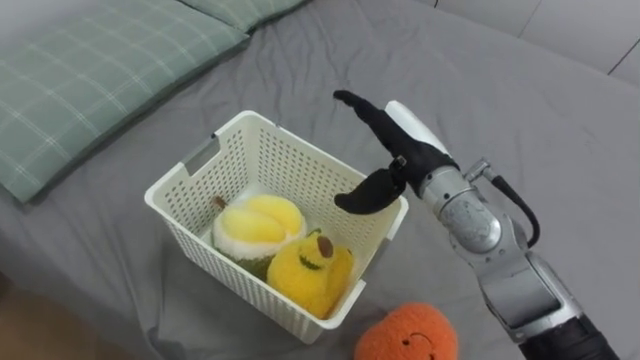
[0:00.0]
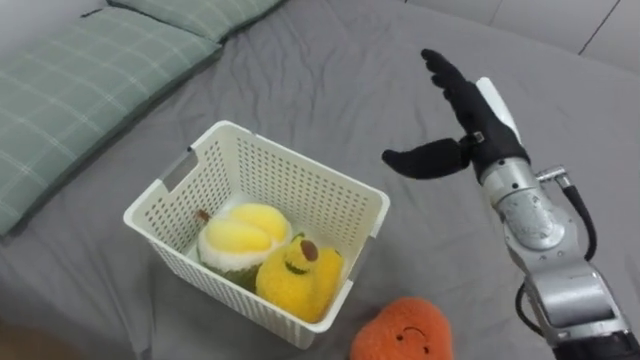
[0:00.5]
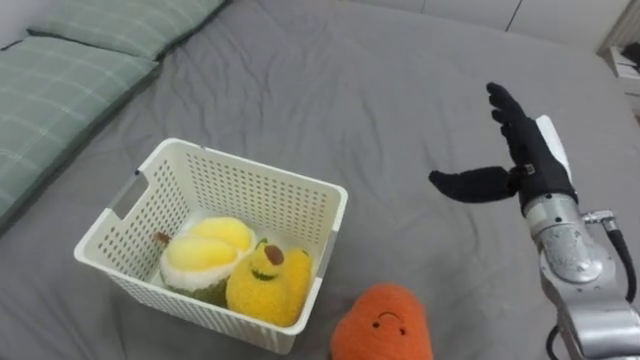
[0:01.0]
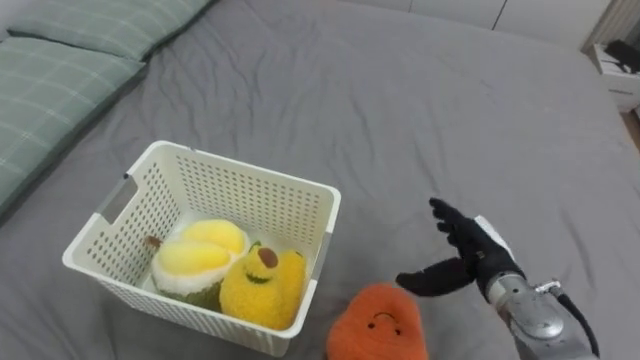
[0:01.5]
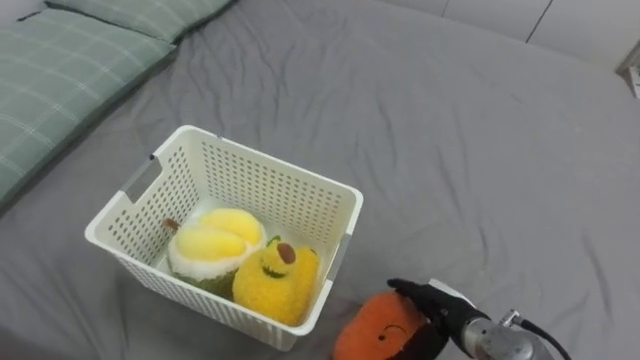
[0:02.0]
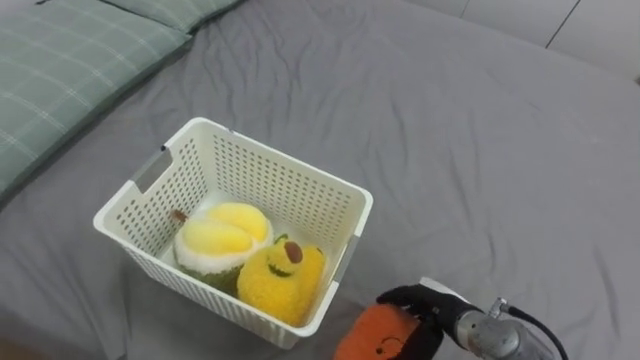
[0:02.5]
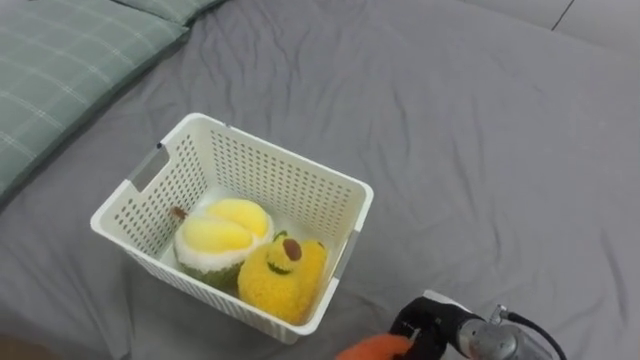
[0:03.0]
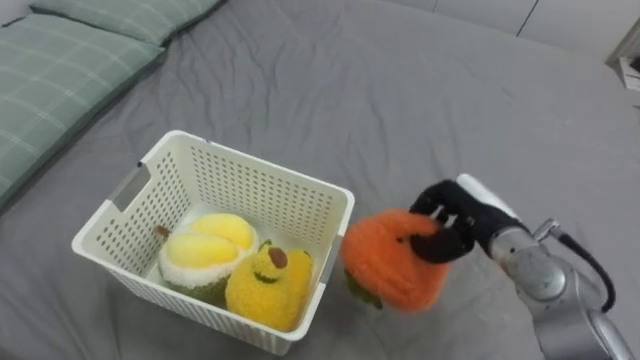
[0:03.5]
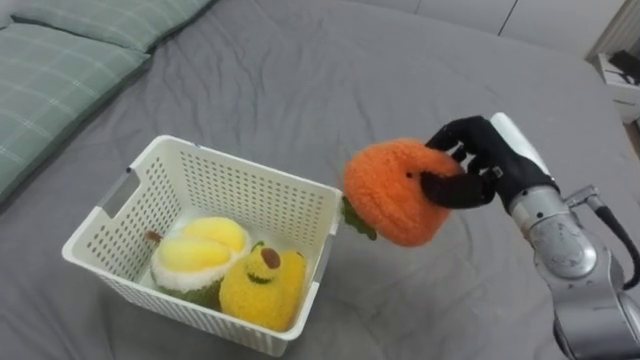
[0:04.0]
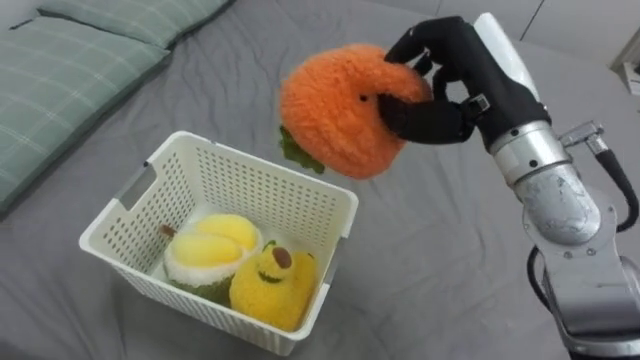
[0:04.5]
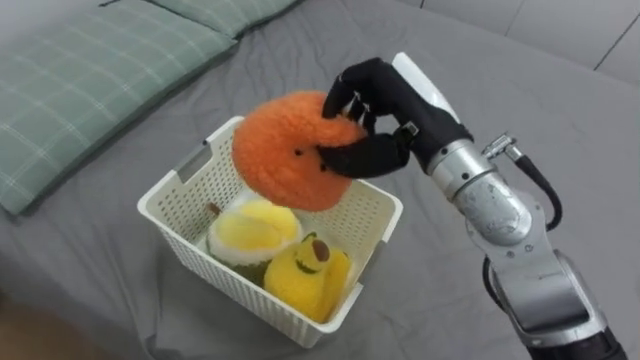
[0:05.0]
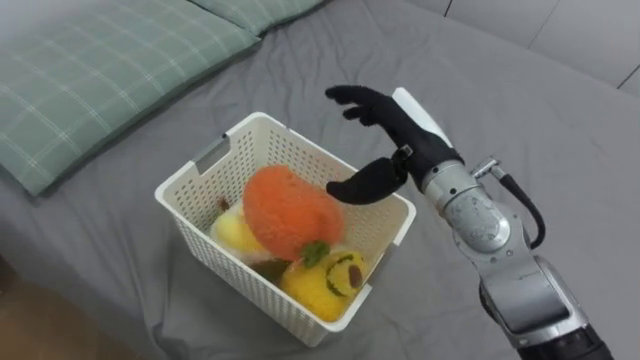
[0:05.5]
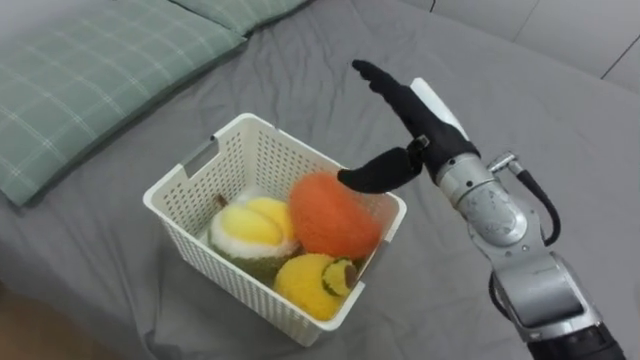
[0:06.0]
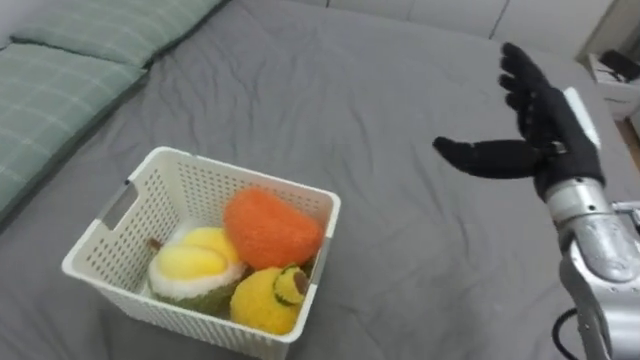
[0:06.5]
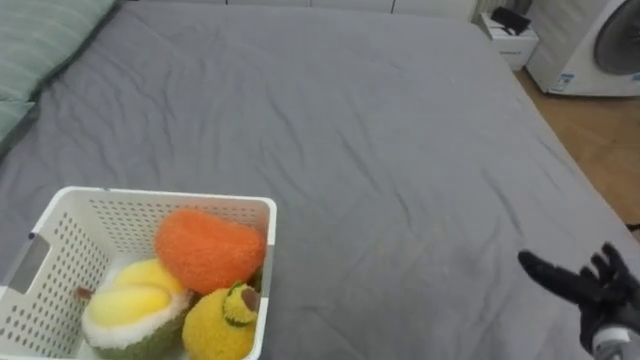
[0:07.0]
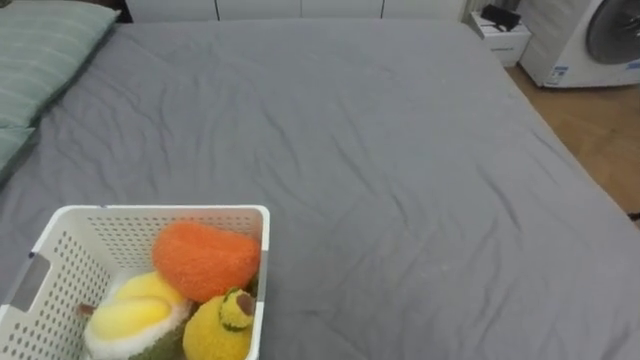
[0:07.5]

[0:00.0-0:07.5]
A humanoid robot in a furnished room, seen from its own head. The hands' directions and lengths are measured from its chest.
Task of the whole recording: Put the toys on the bed into the basket on the left.
0:00.0 to 0:02.0: The right hand travels downward and backward by approximately 25 cm.
0:02.0 to 0:04.0: The right hand heads upward and forward, covering about 25 cm, and closes its fingers.
0:04.0 to 0:05.5: The right hand heads to the left, covering some 10 cm, and opens.

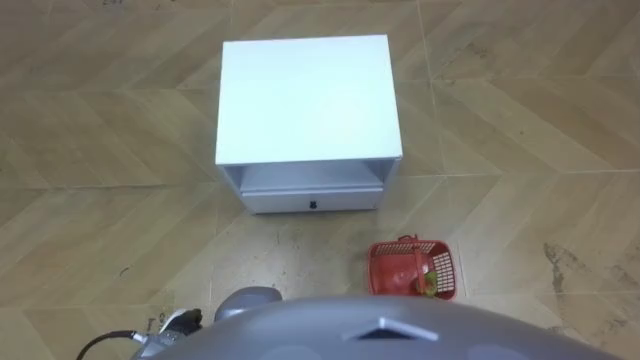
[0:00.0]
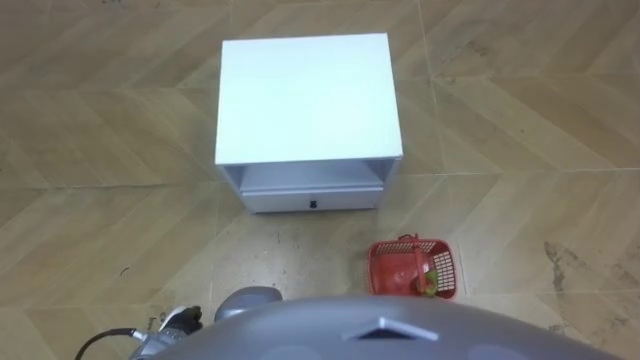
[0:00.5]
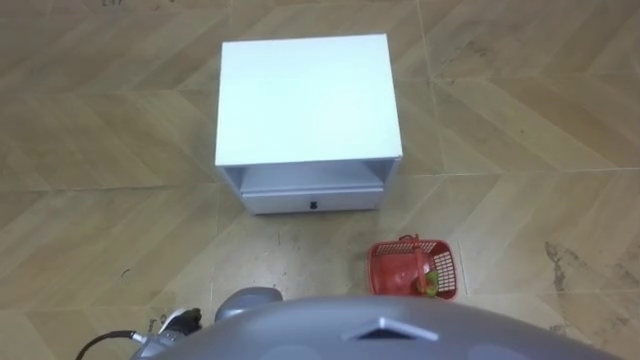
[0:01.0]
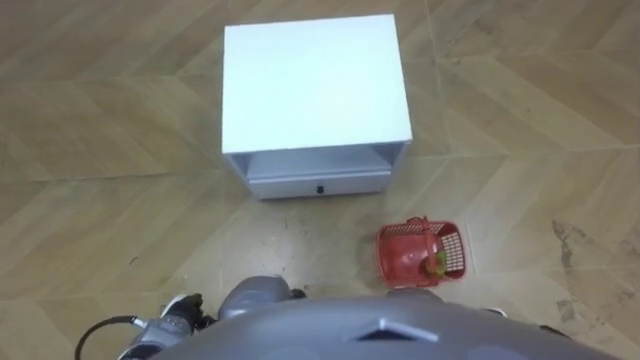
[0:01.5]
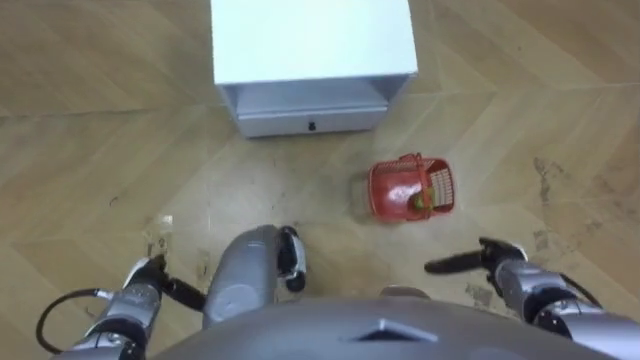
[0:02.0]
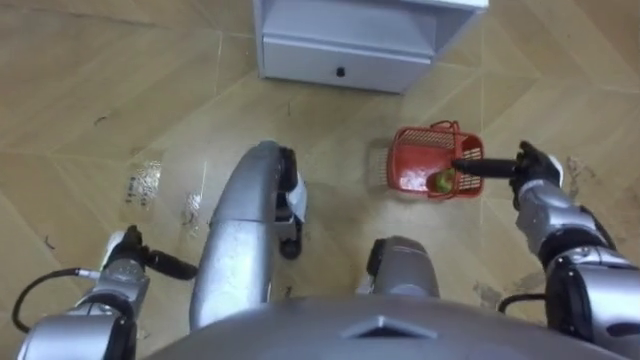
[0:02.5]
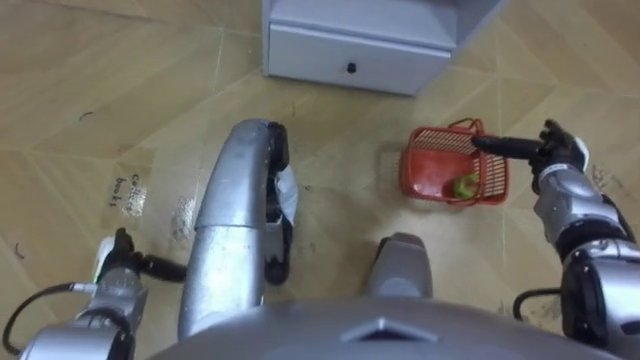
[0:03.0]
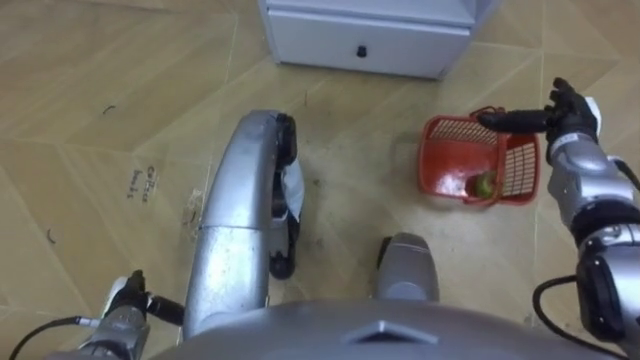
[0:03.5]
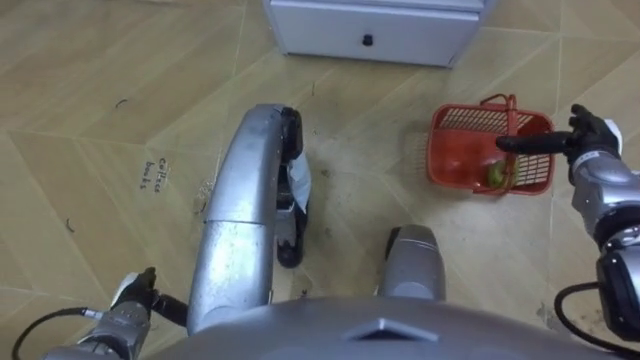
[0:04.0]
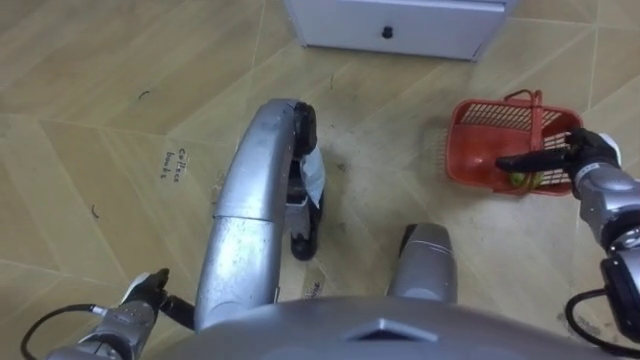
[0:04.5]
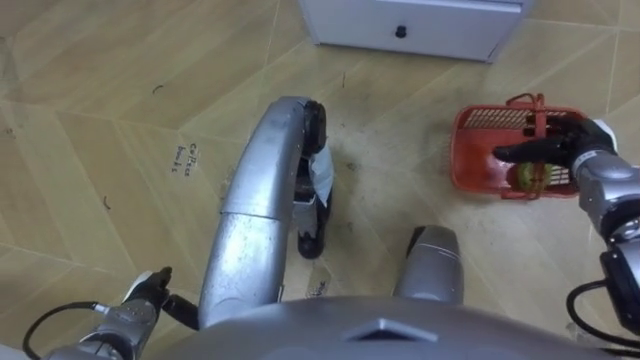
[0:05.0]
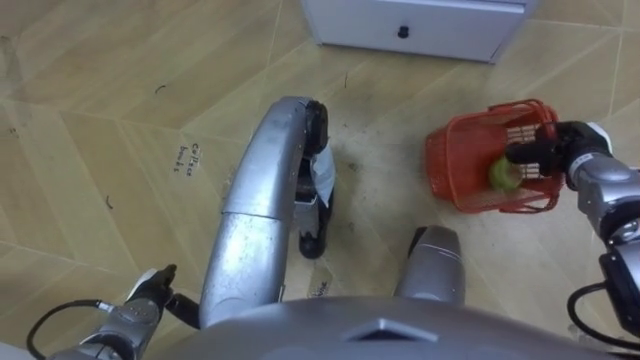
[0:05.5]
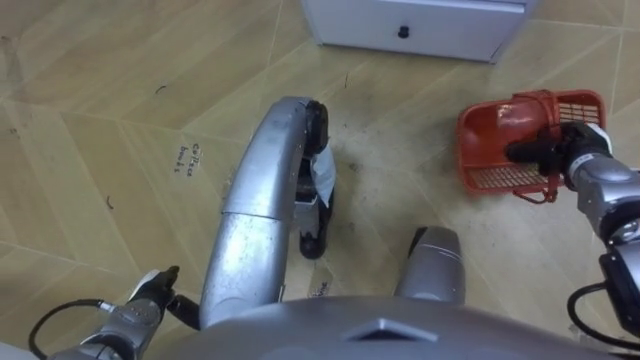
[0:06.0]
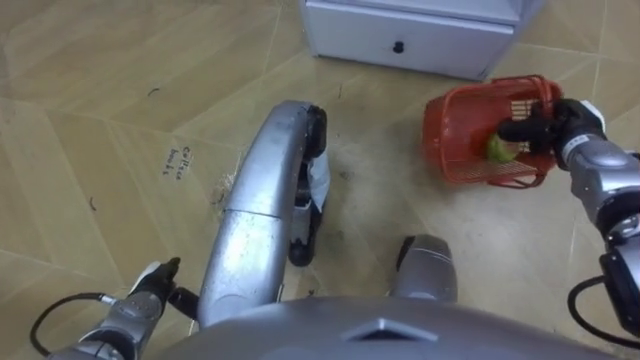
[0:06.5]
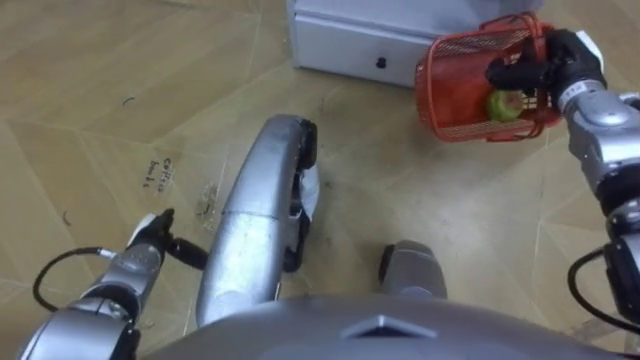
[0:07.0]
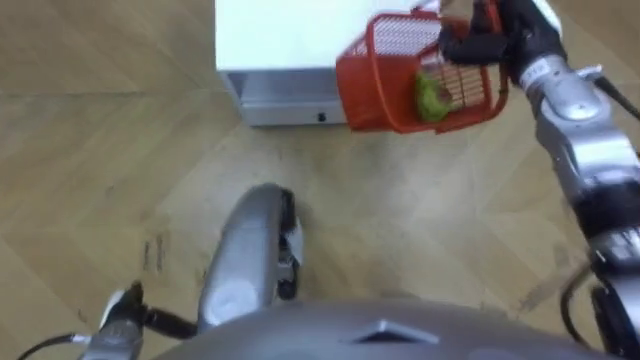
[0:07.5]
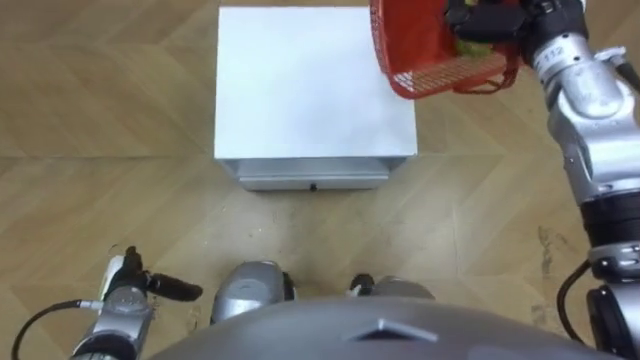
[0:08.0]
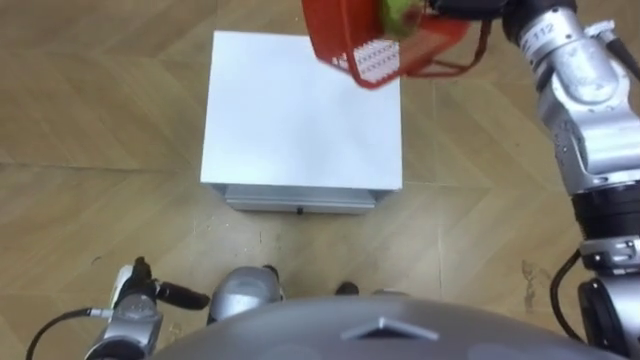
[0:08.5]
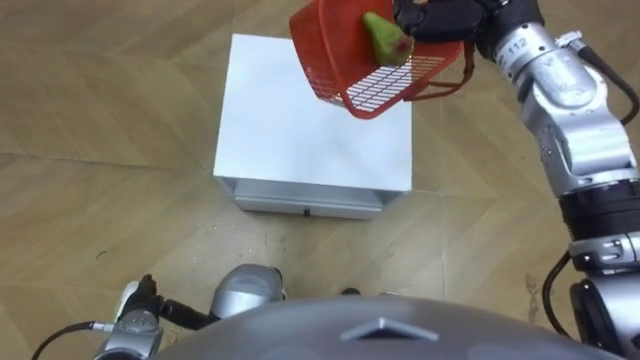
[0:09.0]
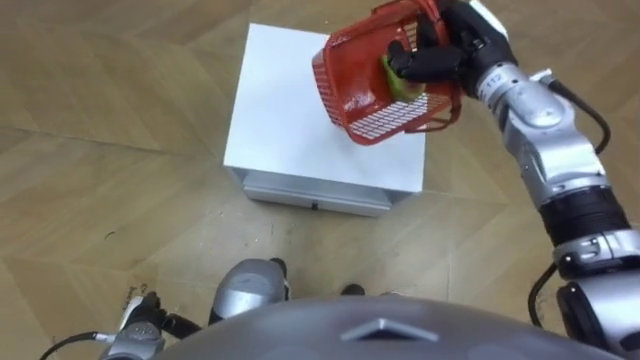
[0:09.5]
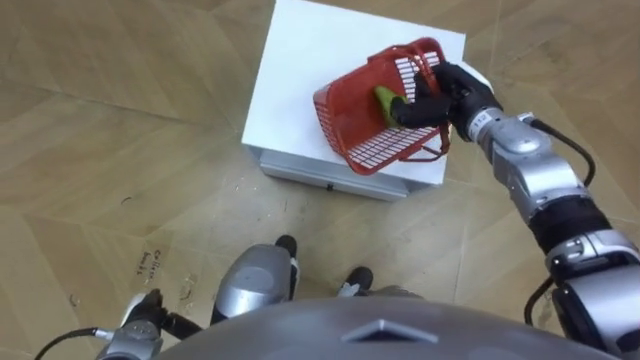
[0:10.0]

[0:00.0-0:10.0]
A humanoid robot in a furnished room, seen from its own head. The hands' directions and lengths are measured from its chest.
Task of the whole recording: Pick up the fruit basket from the floor and place it on the cabinet.
0:02.0 to 0:04.0: The right hand moves forward, upward and to the right, some 25 cm.
0:04.0 to 0:06.0: The right hand closes.
0:06.0 to 0:08.0: The right hand moves upward, to the left and forward, roughly 25 cm, while the left hand swings forward and backward, about 10 cm each way, with 2 reversals.
0:08.0 to 0:10.0: The left hand heads backward, covering some 5 cm.

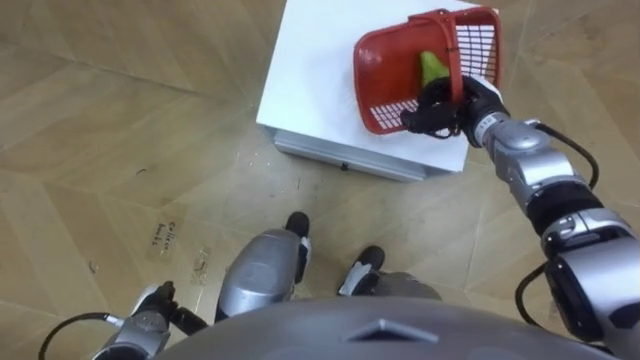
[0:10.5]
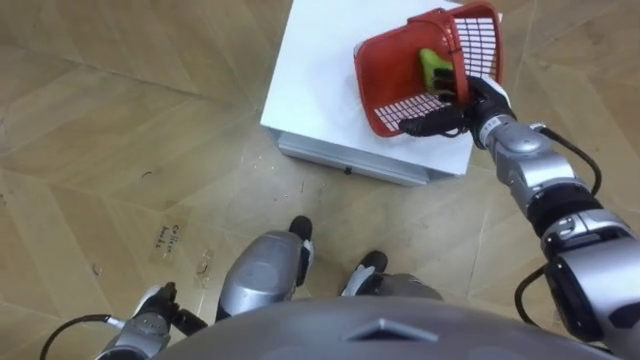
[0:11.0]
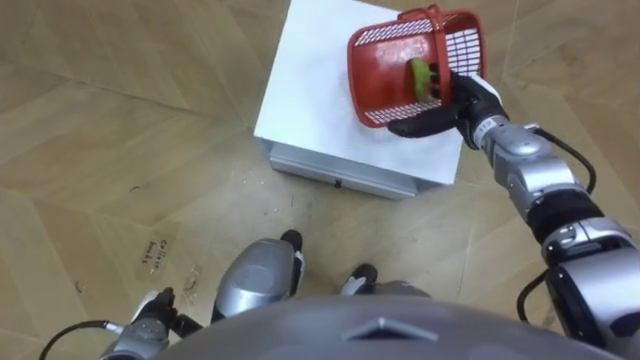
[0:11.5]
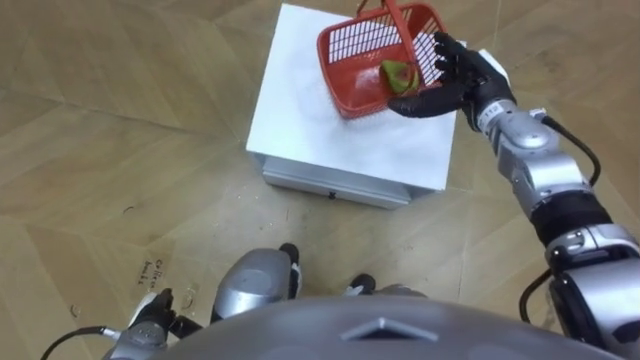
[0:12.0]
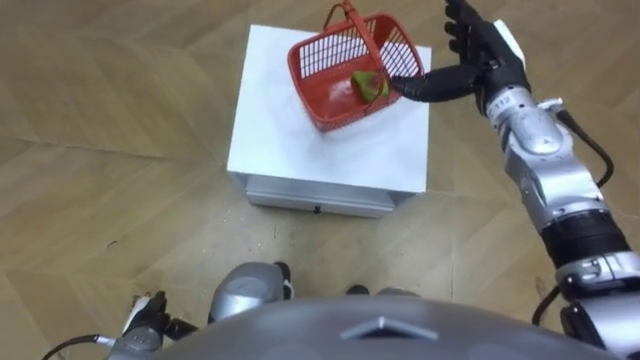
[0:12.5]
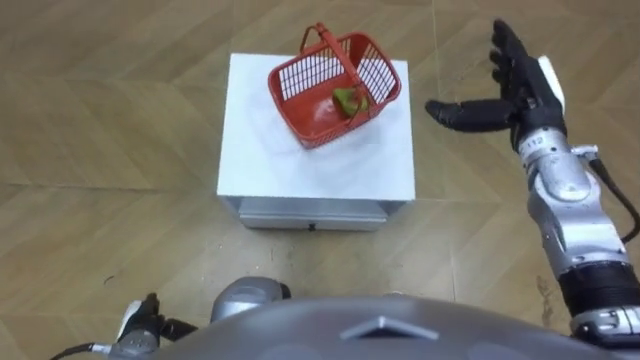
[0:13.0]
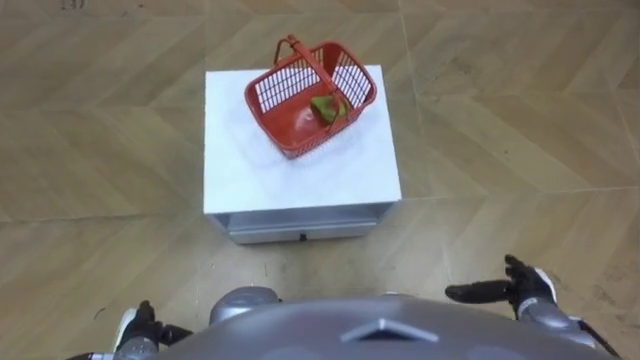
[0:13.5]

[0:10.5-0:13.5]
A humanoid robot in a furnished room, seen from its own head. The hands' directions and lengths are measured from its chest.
Task of the whole recording: Pick up the fruit basket from the floor and place it on the cabinet.
0:10.5 to 0:12.0: The right hand opens up.
0:12.0 to 0:13.5: The right hand travels backward and downward by about 30 cm.
